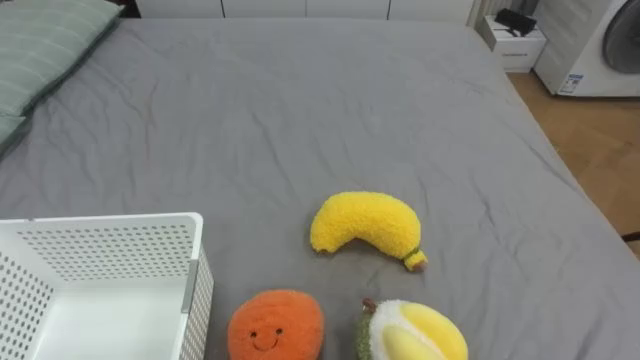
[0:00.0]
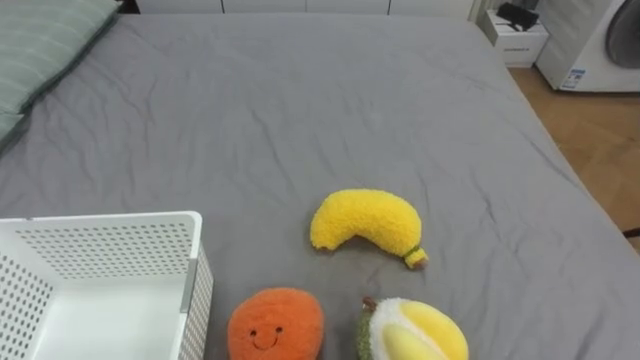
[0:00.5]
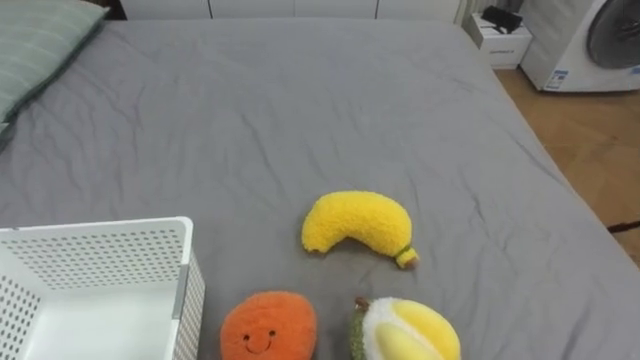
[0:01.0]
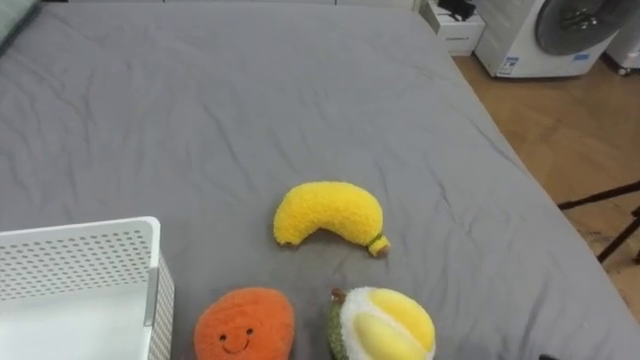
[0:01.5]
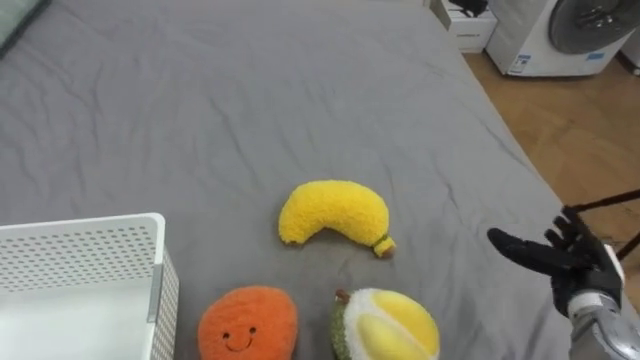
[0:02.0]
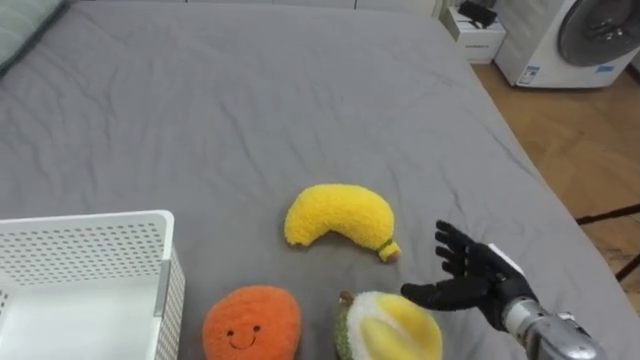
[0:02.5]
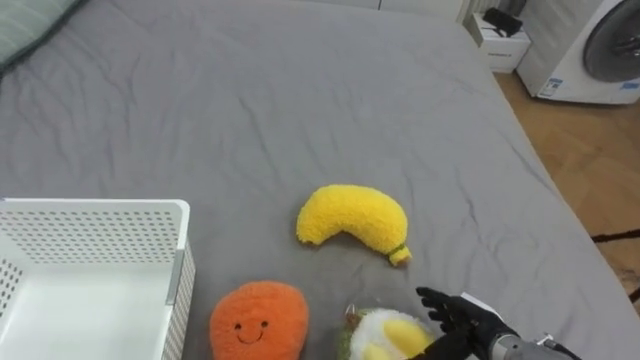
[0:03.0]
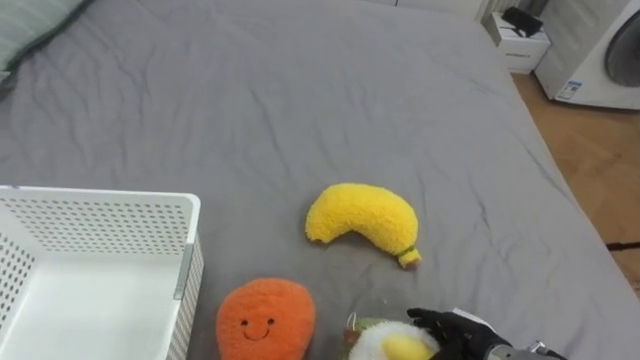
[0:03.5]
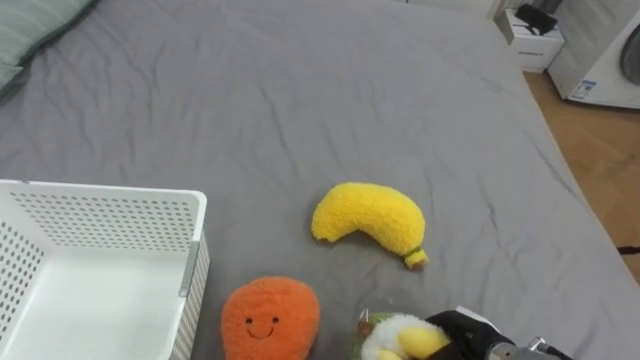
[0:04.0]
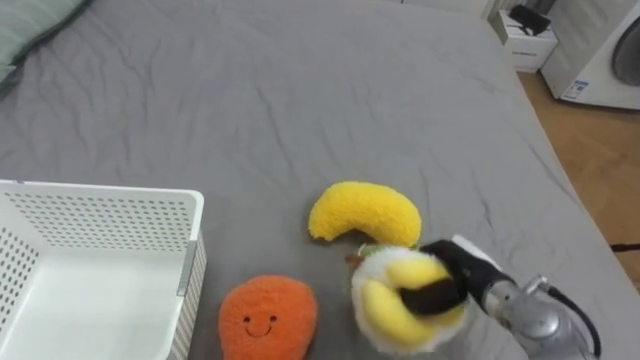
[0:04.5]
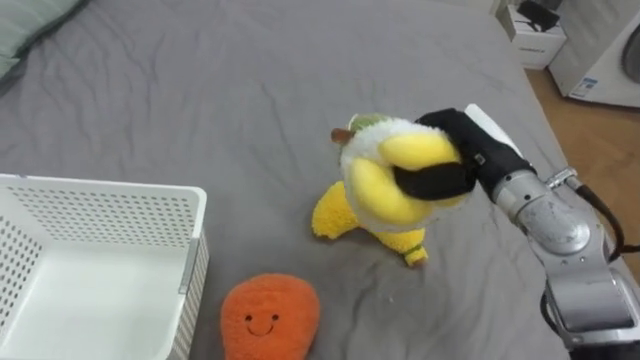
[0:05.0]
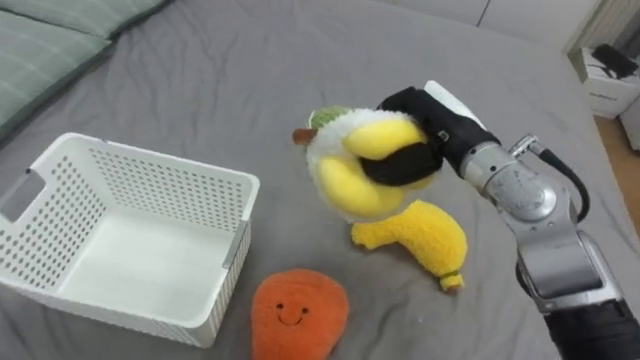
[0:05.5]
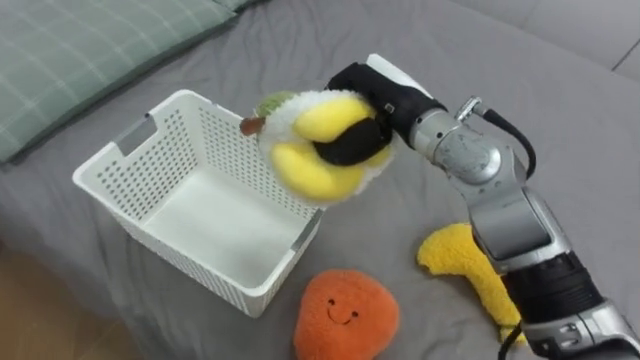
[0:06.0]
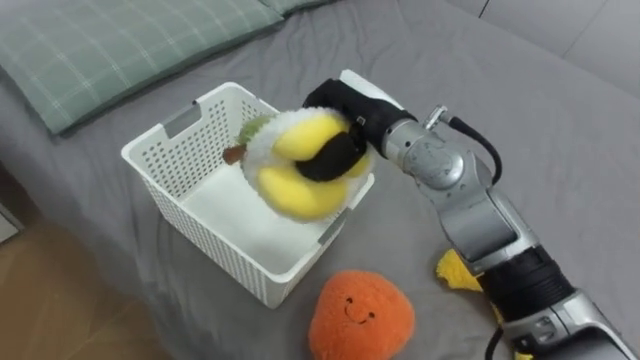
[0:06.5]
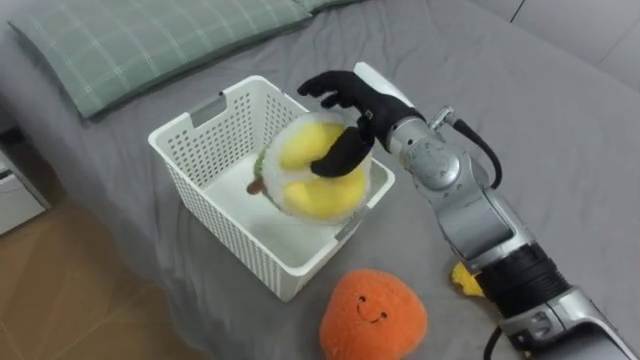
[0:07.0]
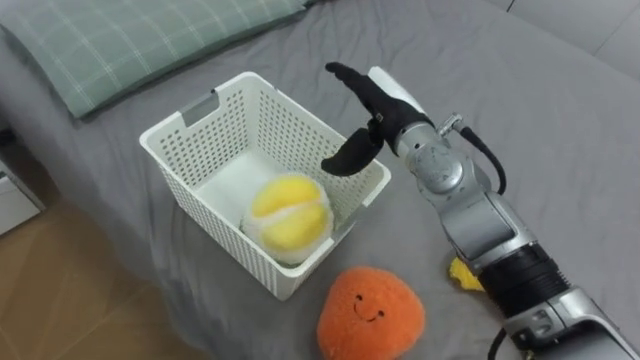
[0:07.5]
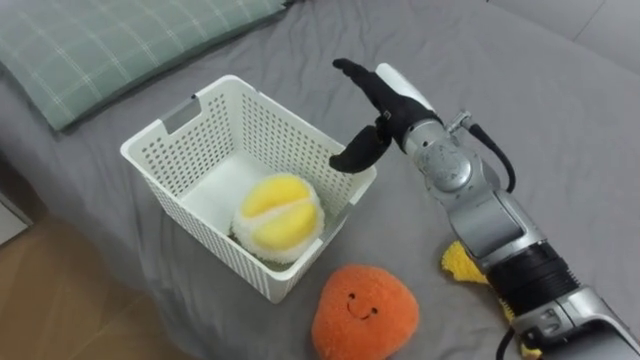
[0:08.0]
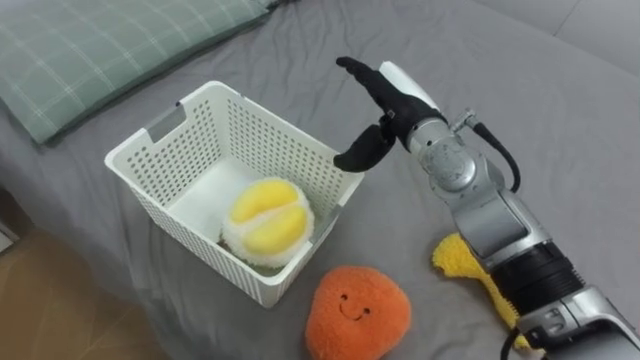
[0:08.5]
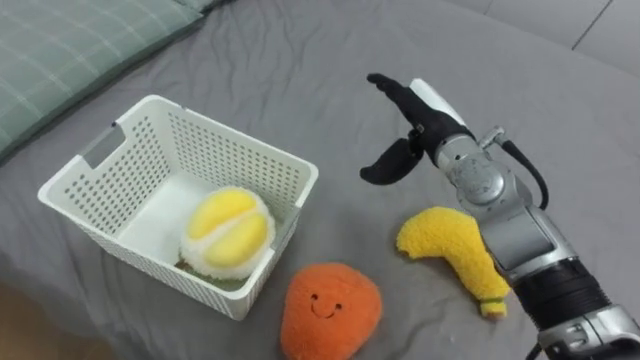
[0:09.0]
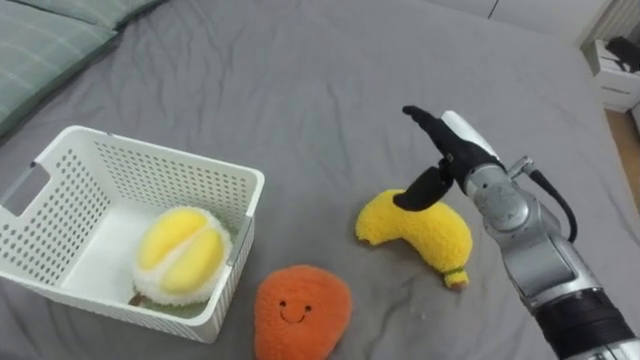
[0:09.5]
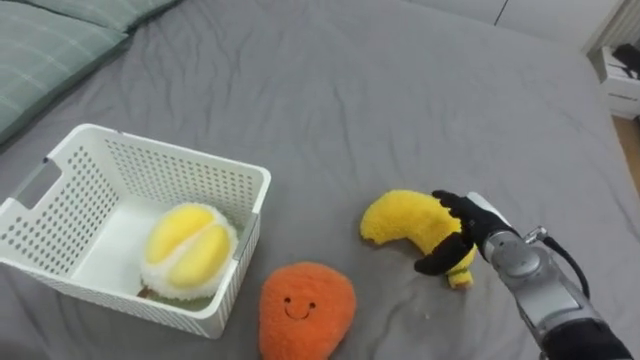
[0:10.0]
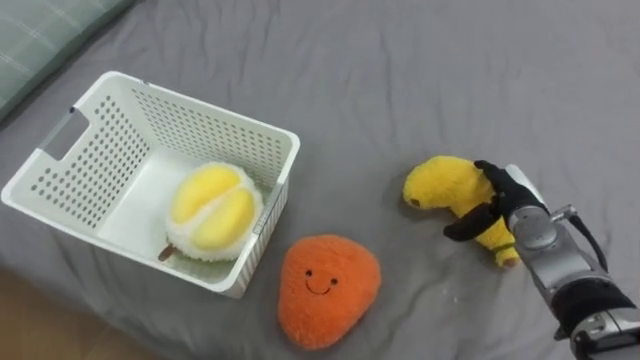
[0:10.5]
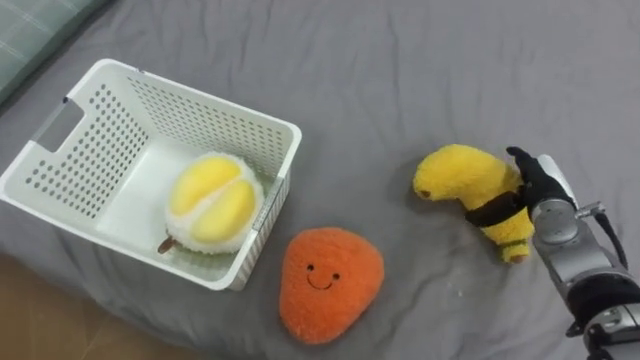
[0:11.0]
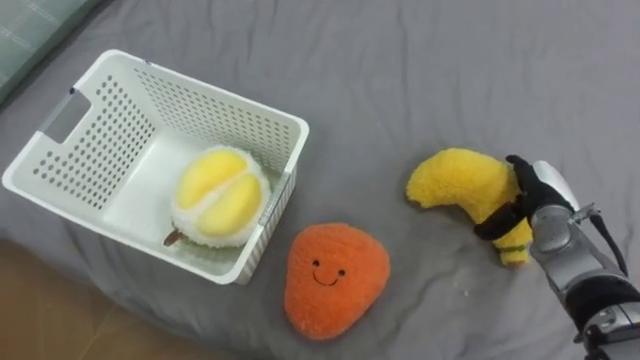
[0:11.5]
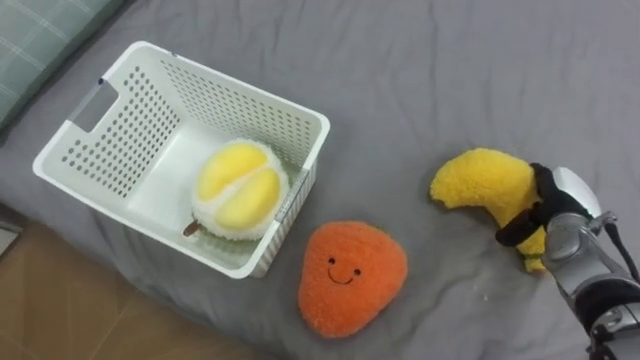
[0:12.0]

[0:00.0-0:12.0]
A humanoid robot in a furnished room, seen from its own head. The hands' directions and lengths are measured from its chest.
Task of the whole recording: Put the toys on the bed into the basket on the left.
0:02.0 to 0:04.0: The right hand travels to the left, downward and backward by some 15 cm, and closes.
0:04.0 to 0:06.0: The right hand moves upward, forward and to the left, some 35 cm.
0:06.0 to 0:08.0: The right hand opens.
0:08.0 to 0:10.0: The right hand is displaced downward, to the right and backward by about 20 cm.
0:10.0 to 0:12.0: The right hand moves to the right, approximately 10 cm.

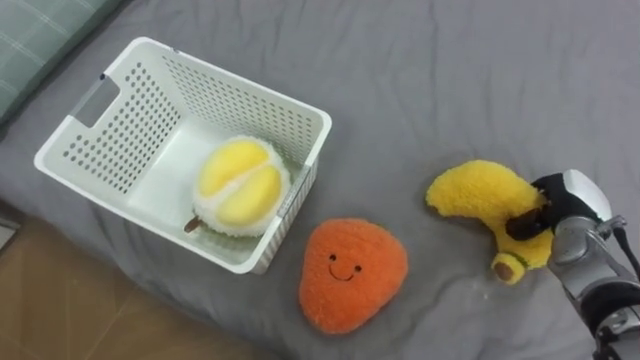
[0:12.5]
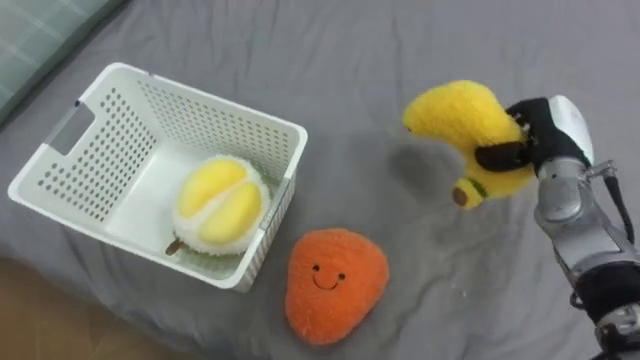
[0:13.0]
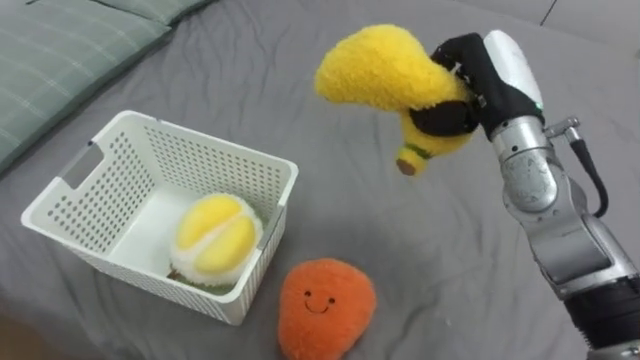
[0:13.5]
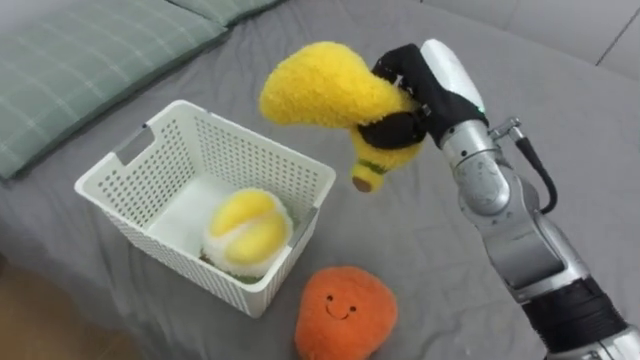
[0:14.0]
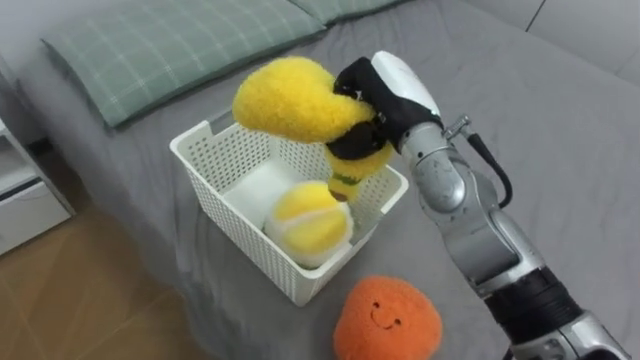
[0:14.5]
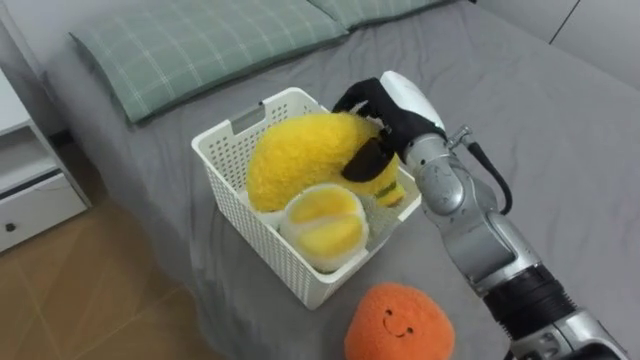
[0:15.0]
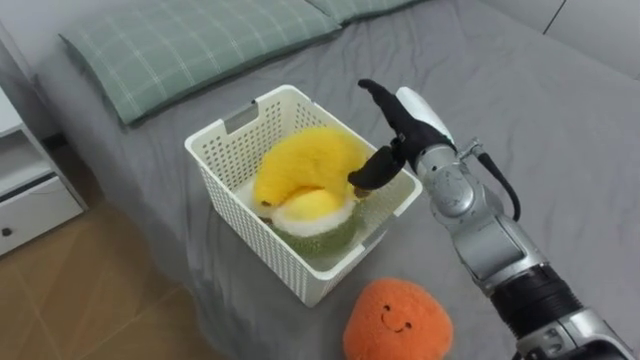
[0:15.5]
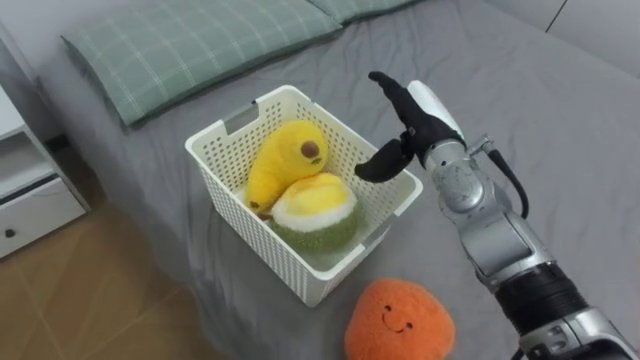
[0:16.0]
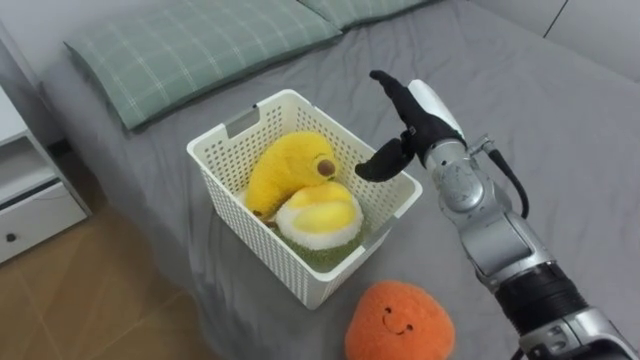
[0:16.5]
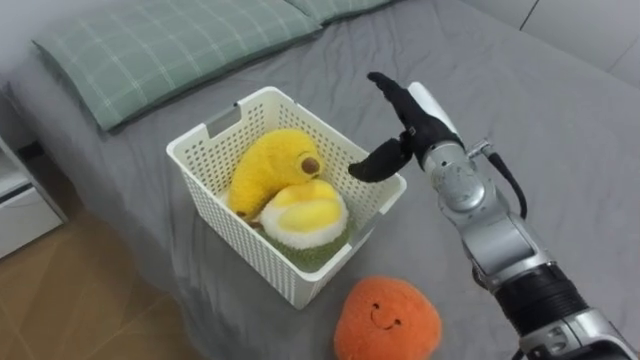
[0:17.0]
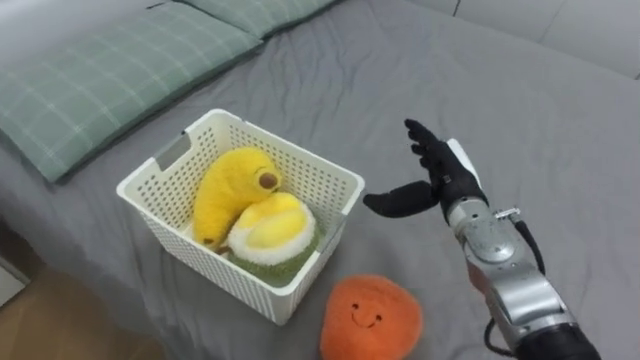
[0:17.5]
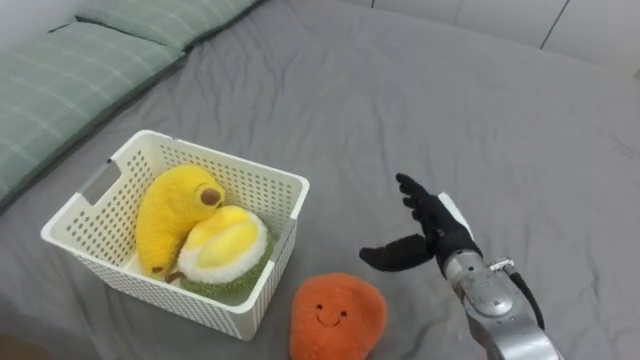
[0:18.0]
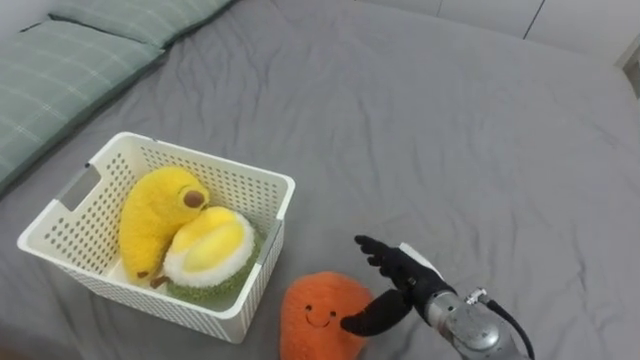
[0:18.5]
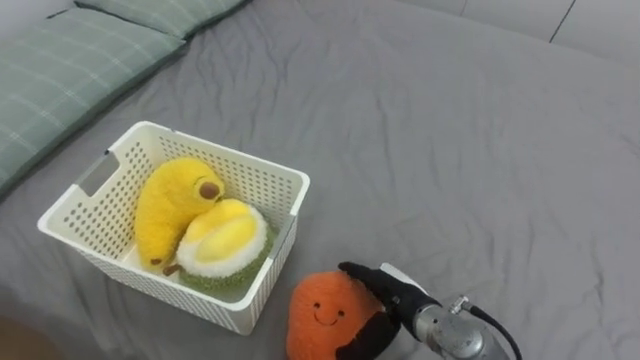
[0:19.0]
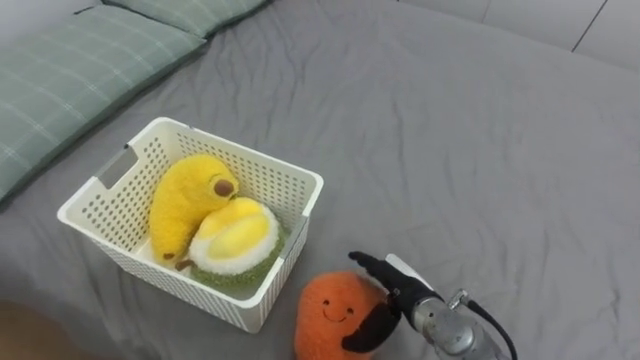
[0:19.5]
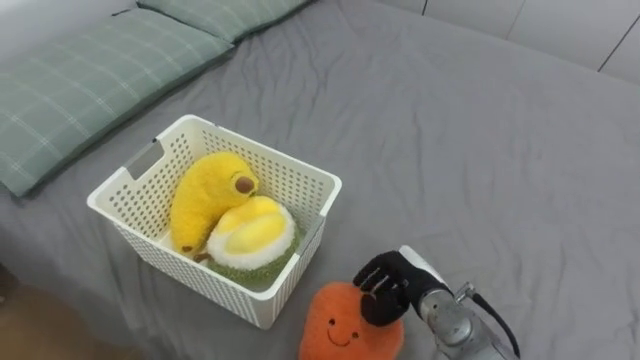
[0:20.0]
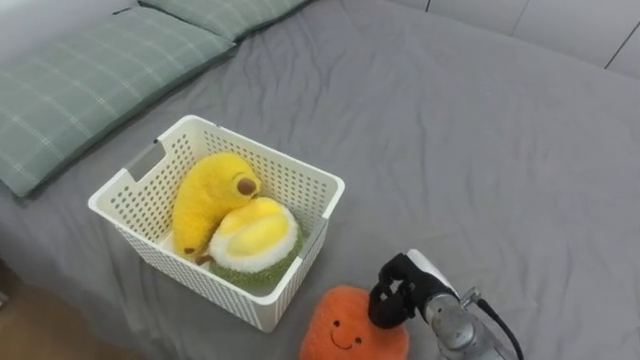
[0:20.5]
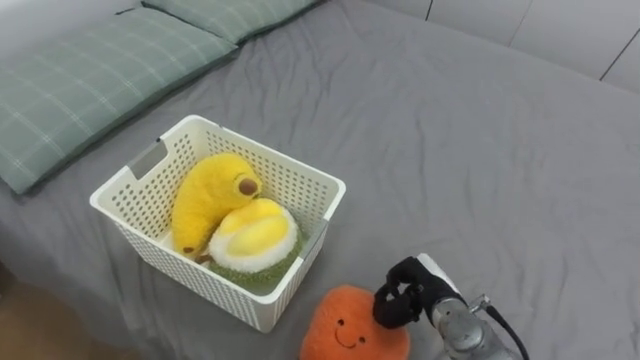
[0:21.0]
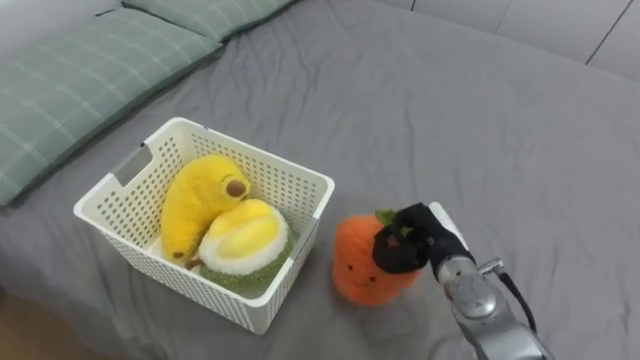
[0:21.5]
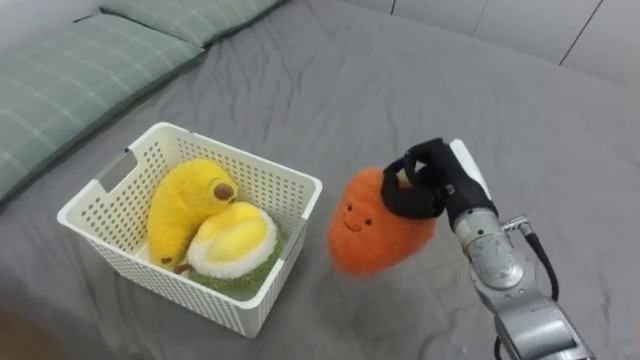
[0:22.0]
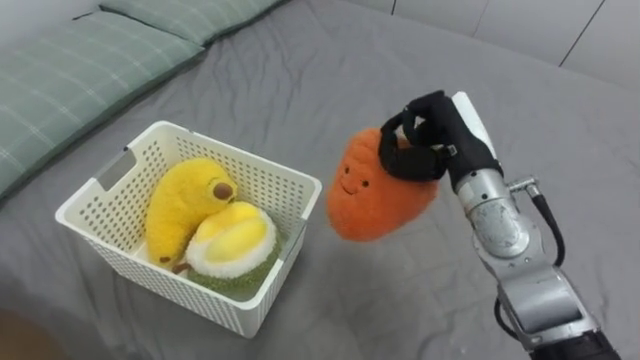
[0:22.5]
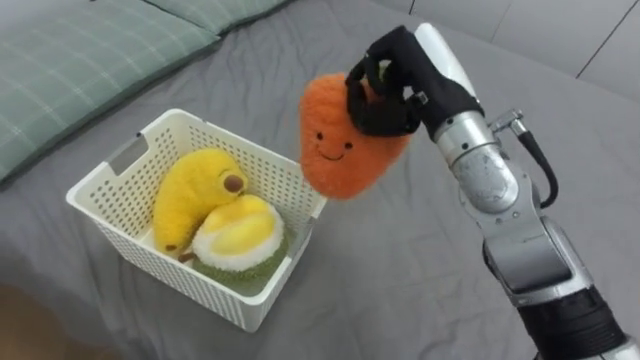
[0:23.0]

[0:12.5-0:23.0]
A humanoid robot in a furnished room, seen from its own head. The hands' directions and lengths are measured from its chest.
Task of the whole recording: Put the toys on the bed into the basket on the left.
0:12.5 to 0:14.5: The right hand is displaced to the left and upward by roughly 30 cm.
0:14.5 to 0:16.5: The right hand moves roughly 5 cm, and opens.
0:16.5 to 0:19.0: The right hand travels downward and backward by about 25 cm.
0:19.0 to 0:21.0: The right hand shifts by approximately 5 cm, and closes its fingers.
0:21.0 to 0:23.0: The right hand travels upward by roughly 30 cm.
